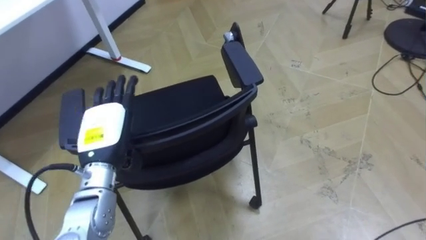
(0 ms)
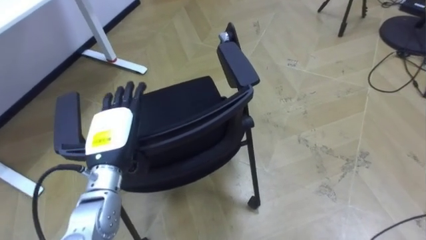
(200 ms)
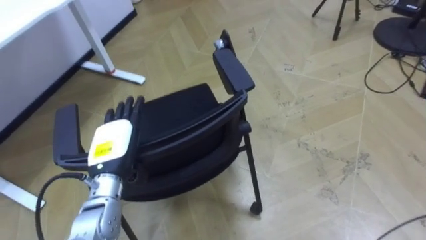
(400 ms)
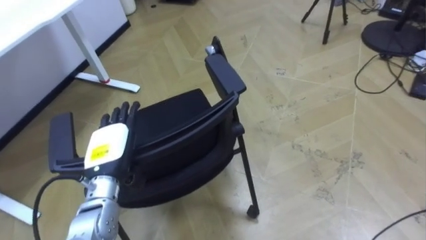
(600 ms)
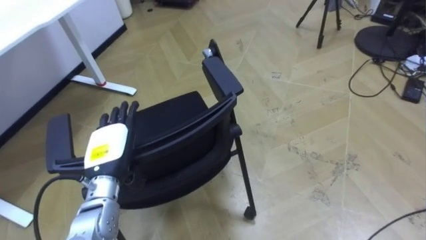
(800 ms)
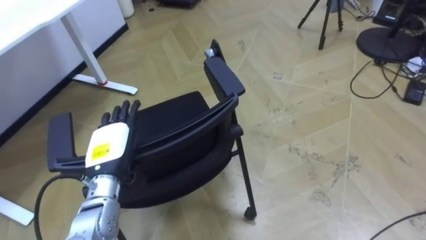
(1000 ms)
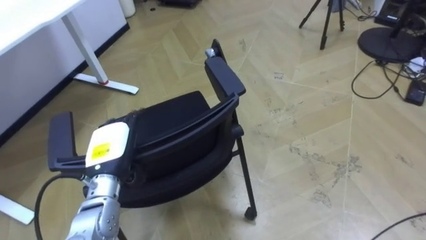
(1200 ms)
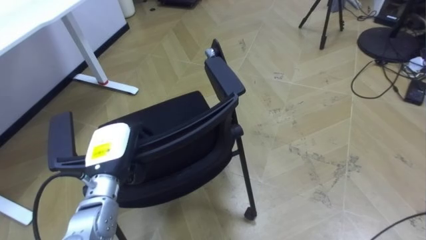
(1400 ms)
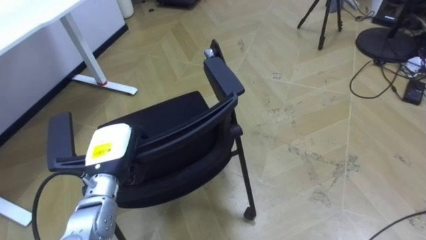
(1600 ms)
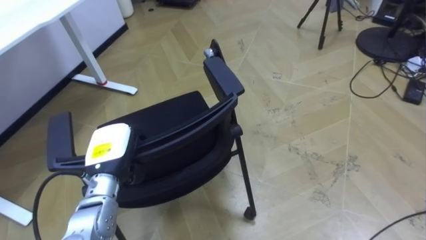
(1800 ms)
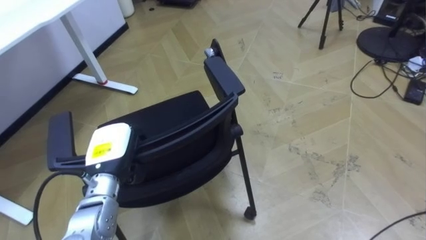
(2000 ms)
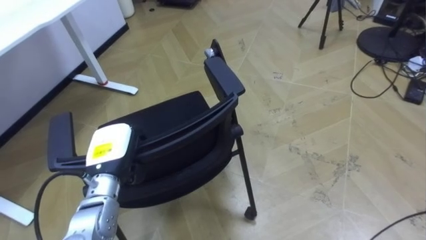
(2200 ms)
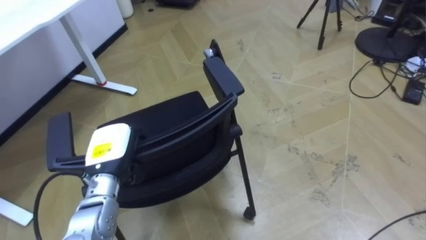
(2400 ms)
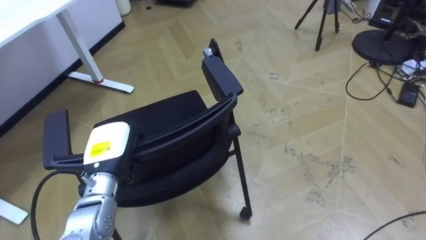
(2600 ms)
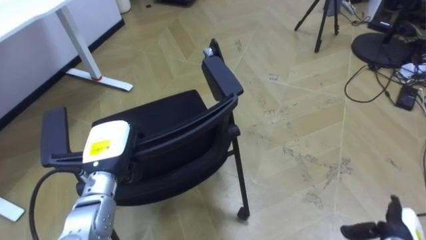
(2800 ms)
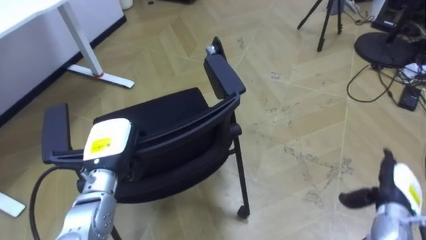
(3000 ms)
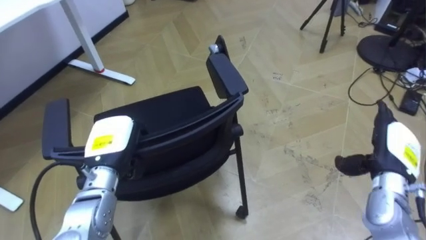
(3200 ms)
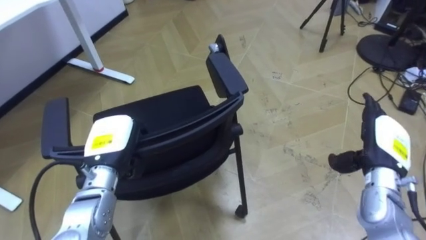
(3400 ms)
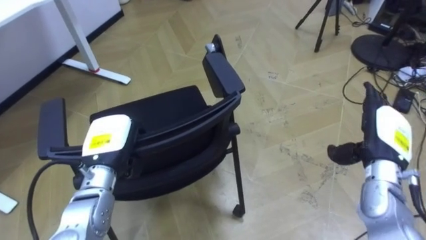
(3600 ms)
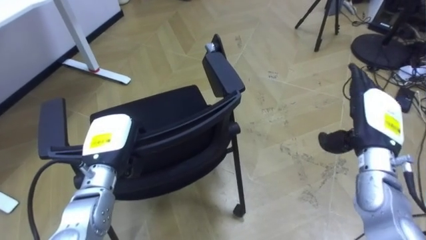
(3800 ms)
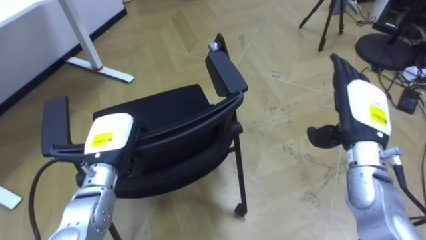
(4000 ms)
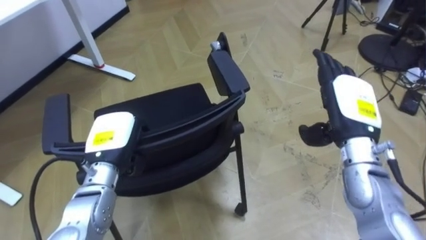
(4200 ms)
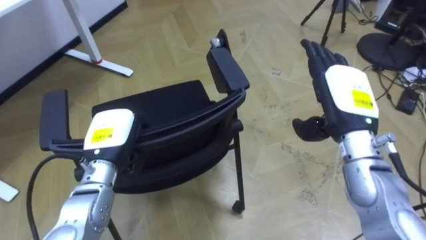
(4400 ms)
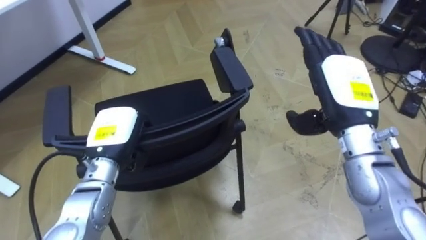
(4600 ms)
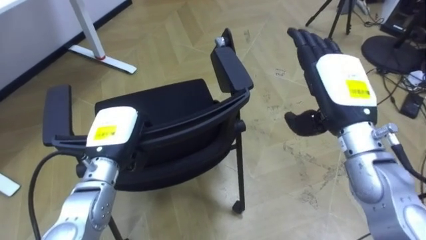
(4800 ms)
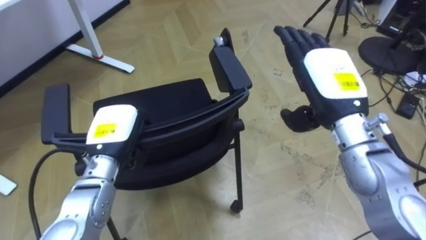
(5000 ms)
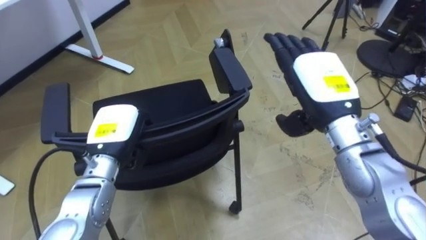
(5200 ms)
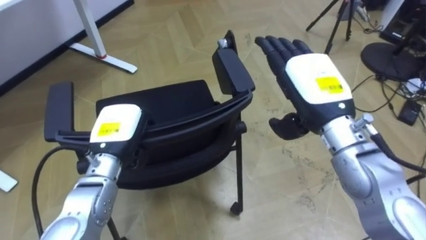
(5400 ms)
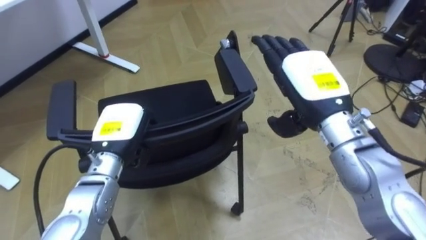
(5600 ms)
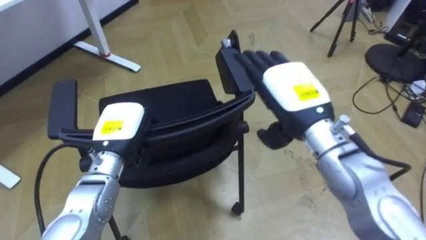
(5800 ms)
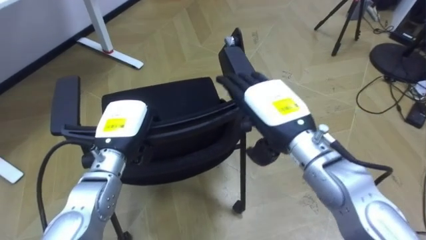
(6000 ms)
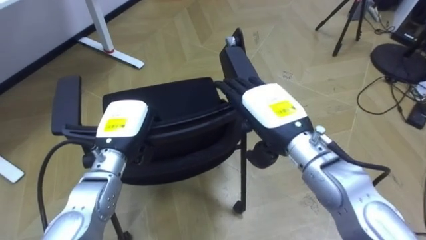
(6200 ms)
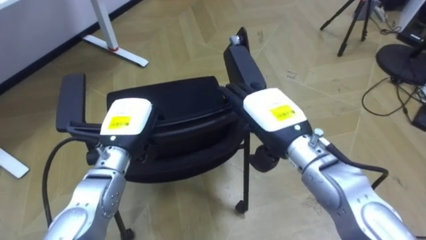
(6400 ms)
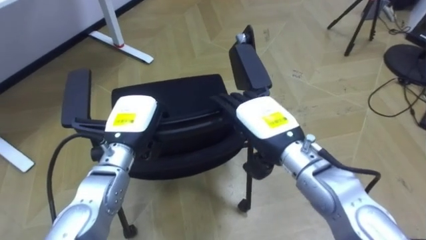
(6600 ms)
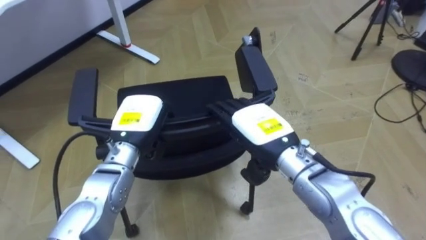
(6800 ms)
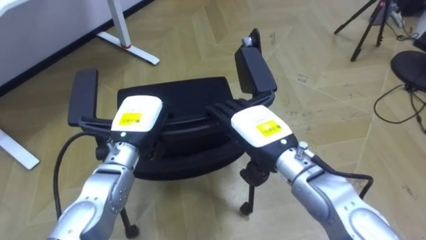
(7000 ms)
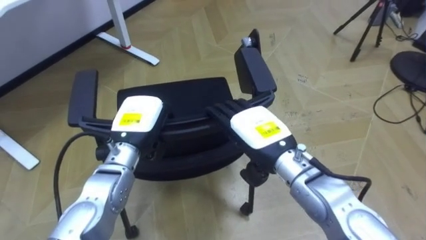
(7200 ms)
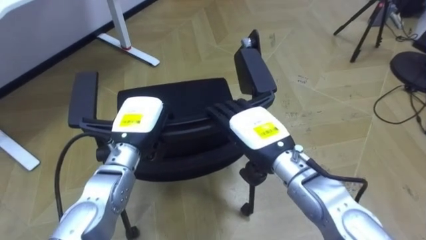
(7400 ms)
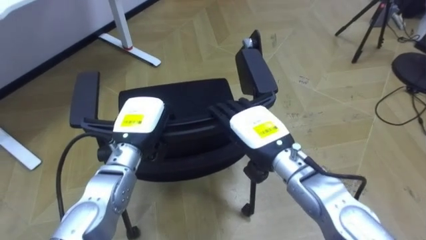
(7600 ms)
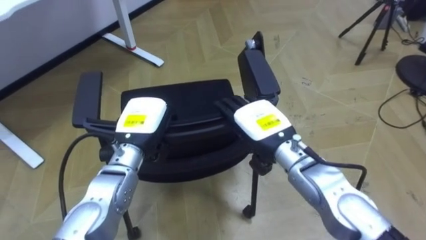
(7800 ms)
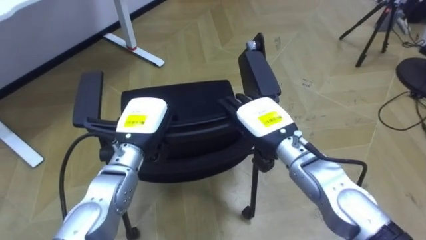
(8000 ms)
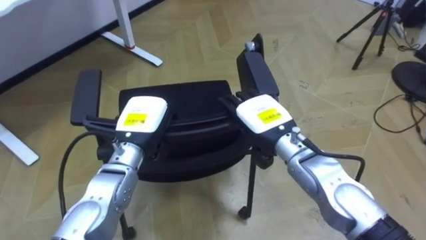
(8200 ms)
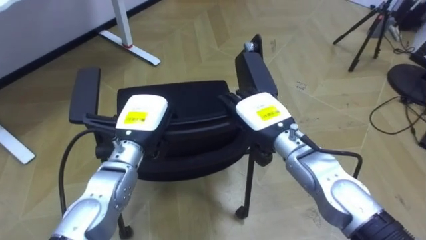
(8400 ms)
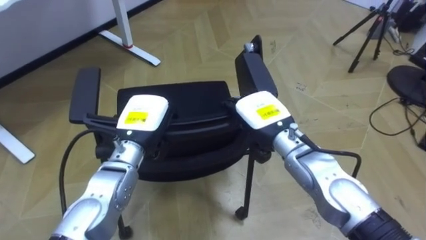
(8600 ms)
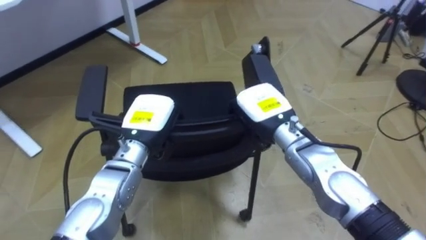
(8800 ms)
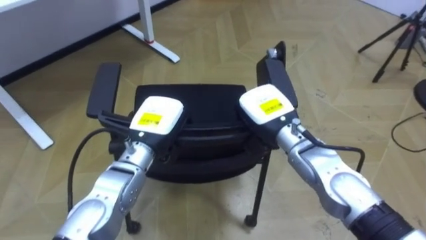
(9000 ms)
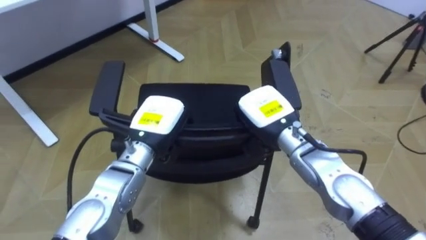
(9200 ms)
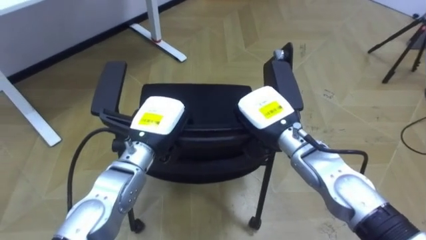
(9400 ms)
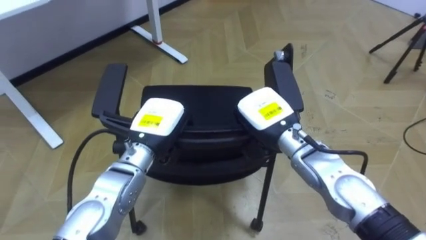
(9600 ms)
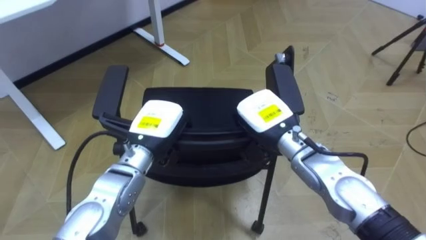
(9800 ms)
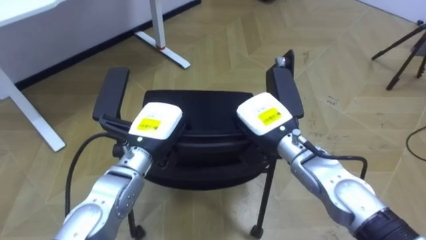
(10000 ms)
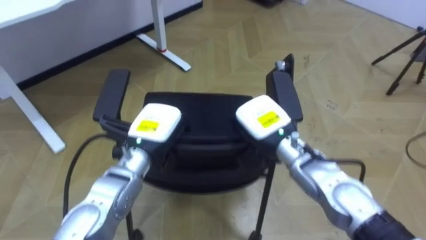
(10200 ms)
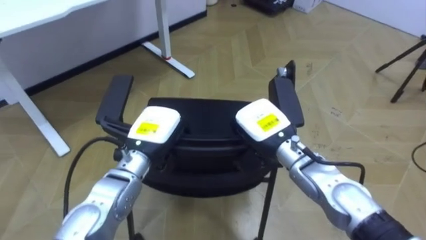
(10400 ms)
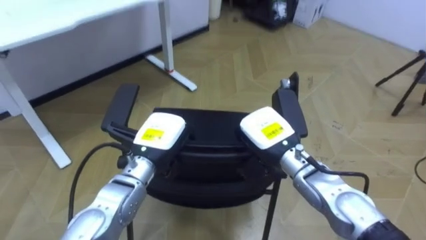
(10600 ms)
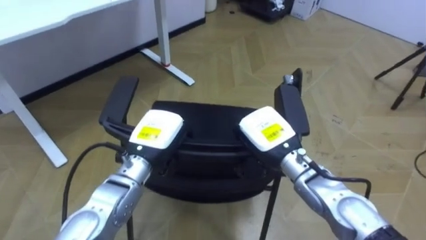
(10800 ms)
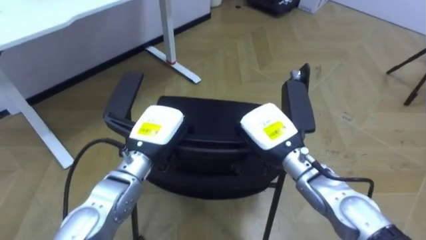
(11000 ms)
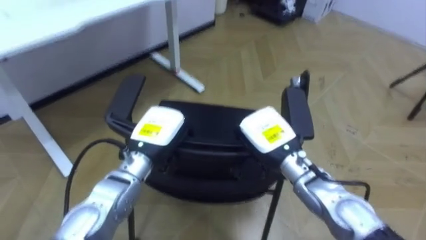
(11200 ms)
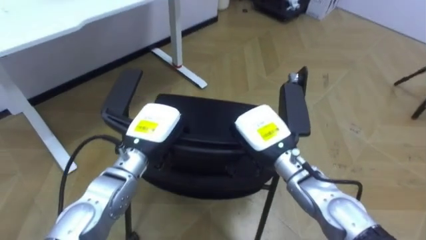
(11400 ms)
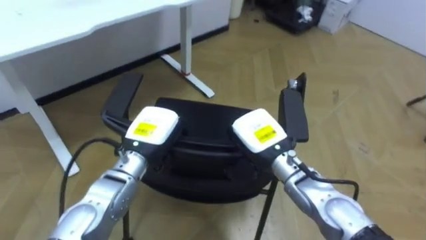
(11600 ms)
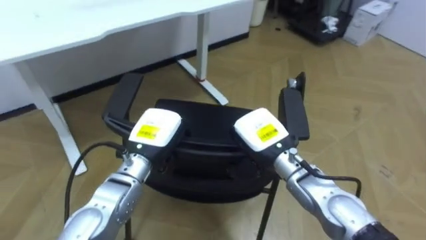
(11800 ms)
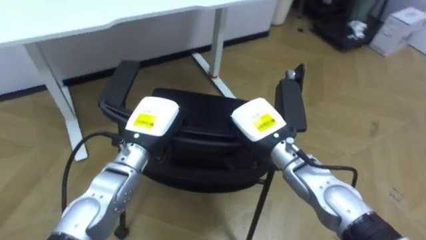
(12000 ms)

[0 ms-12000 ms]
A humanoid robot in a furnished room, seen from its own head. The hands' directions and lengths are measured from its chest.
Task of the whole recording: Push the chair under the table.
0 ms to 1600 ms: The left hand moves downward, about 5 cm, and closes its fingers.
3000 ms to 4400 ms: The right hand travels upward, to the left and forward by some 25 cm.
4400 ms to 6000 ms: The right hand travels to the left by approximately 10 cm.
6000 ms to 7600 ms: The right hand moves downward, roughly 5 cm.
7600 ms to 9000 ms: The right hand goes roughly 5 cm forward, and closes up.

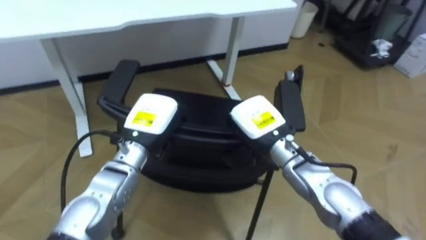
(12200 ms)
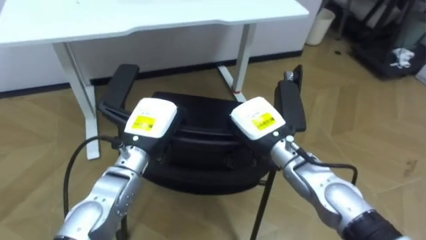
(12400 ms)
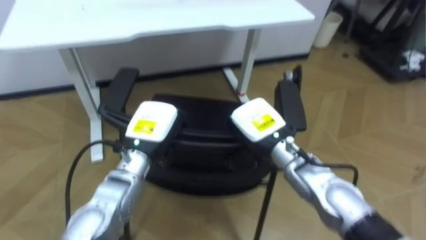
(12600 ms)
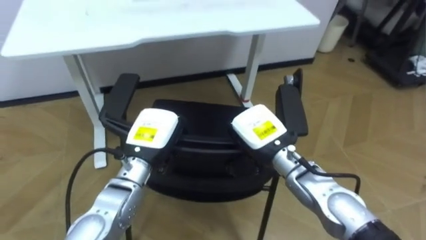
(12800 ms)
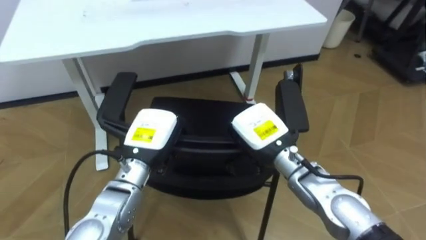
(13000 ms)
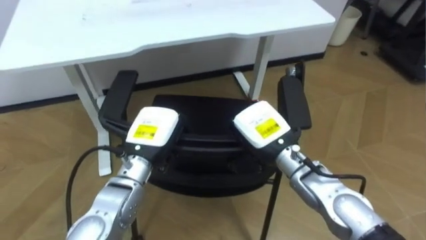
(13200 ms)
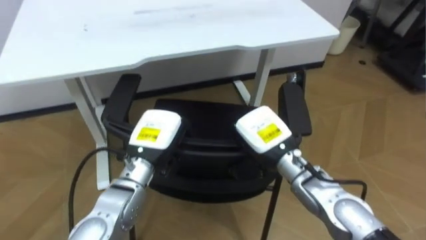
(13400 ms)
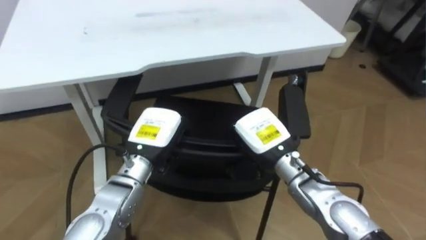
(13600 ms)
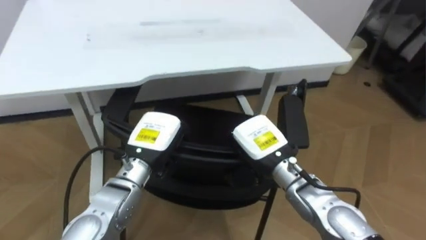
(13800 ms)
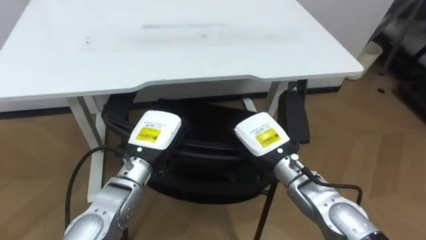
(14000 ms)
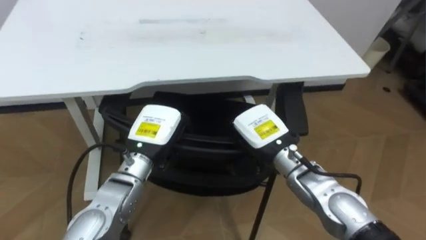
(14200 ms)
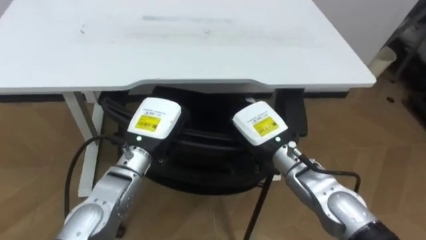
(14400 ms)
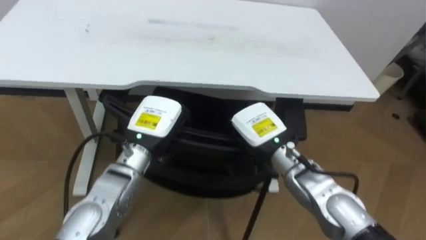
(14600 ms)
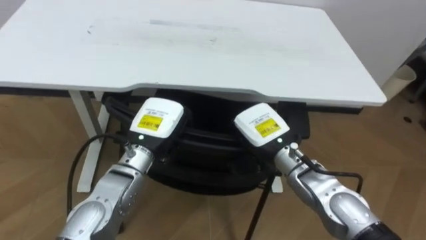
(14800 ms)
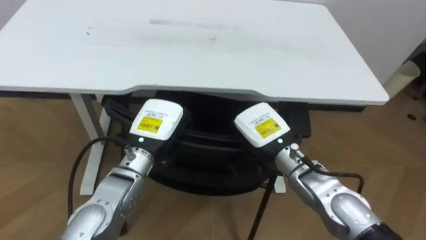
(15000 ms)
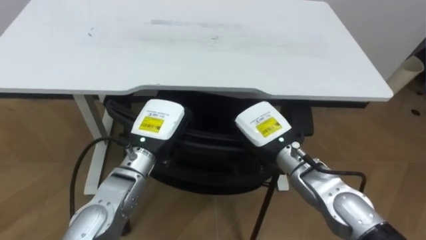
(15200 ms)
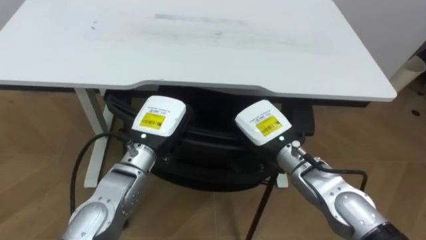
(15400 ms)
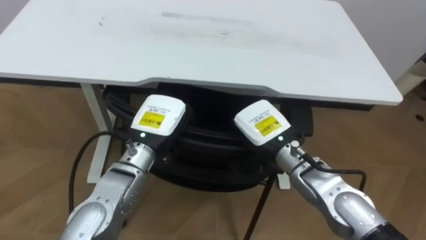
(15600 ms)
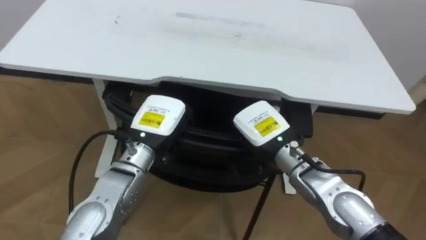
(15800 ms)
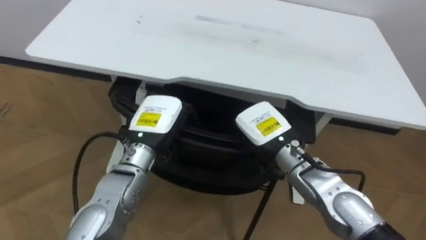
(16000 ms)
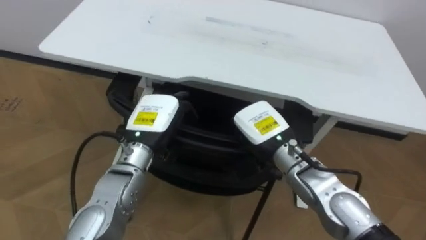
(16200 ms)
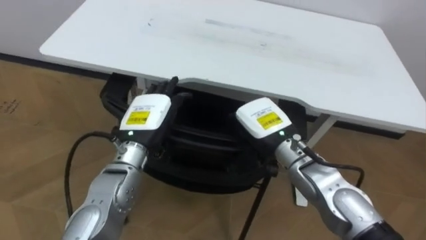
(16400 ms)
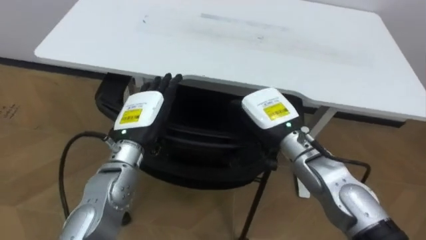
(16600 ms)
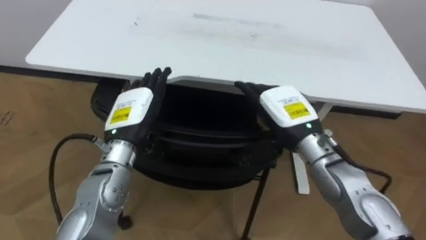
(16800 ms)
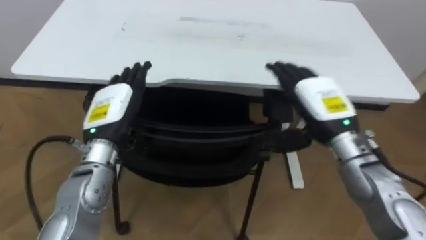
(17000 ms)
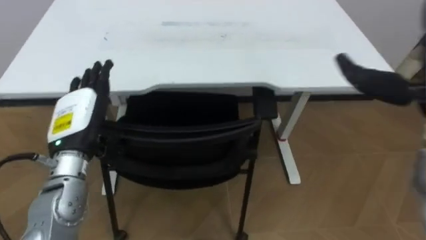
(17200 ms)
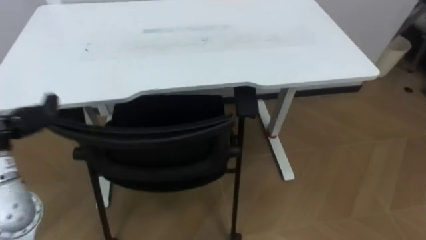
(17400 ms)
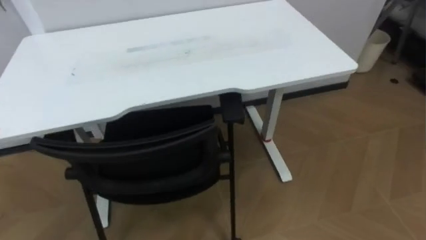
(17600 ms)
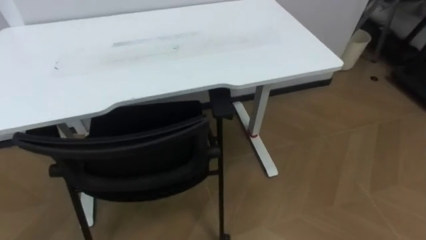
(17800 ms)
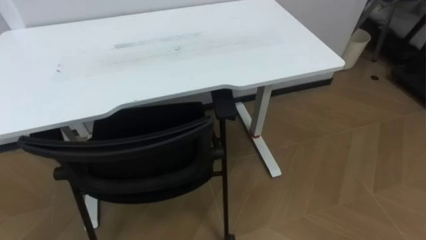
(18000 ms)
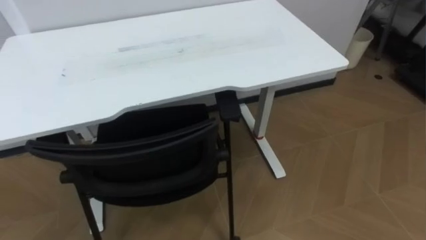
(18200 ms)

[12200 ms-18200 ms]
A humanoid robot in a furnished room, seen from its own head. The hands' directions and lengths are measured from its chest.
Task of the whole recording: Push the chair under the table.
13800 ms to 15200 ms: The robot faces some 15 degrees further to its left.
15200 ms to 16600 ms: The left hand opens up. The right hand opens its fingers.
